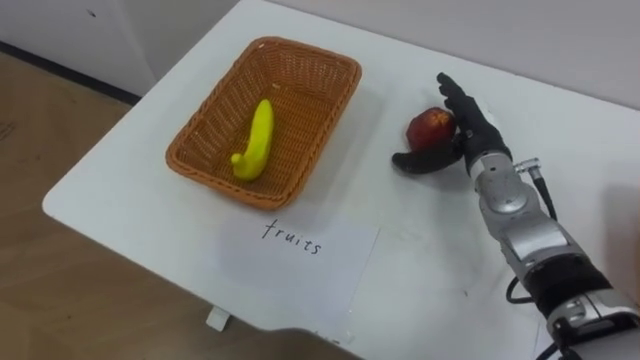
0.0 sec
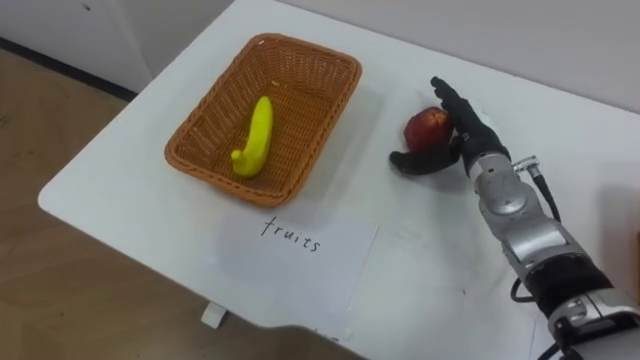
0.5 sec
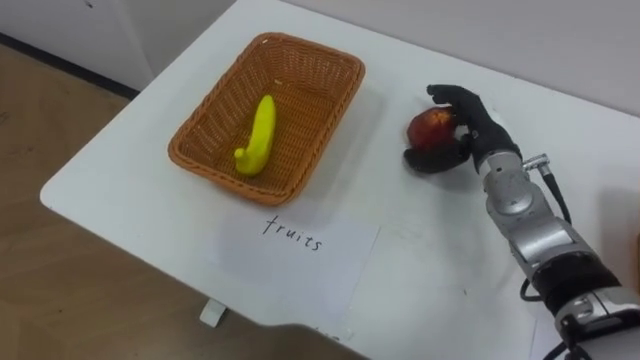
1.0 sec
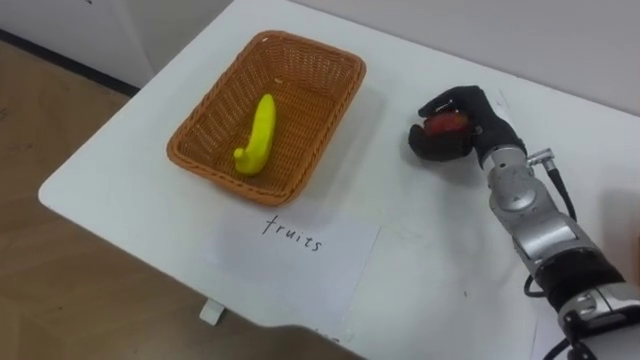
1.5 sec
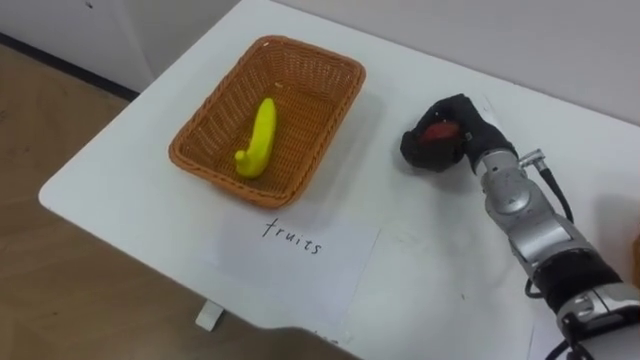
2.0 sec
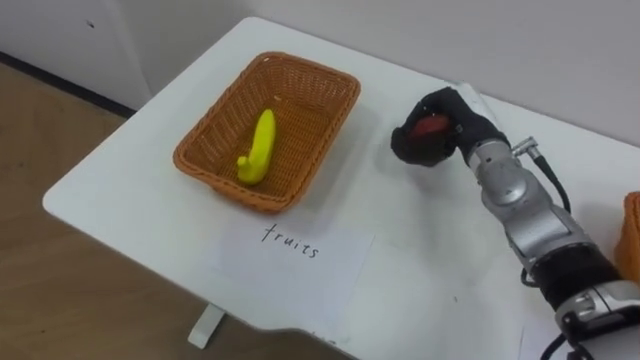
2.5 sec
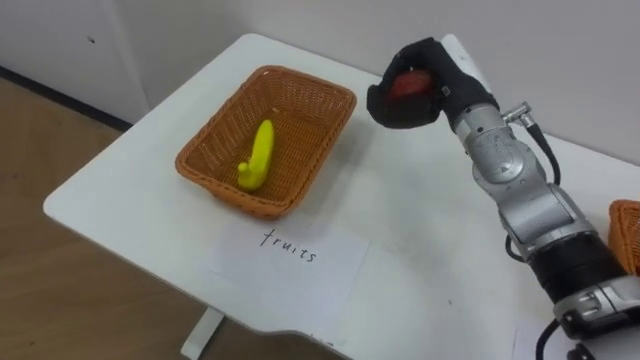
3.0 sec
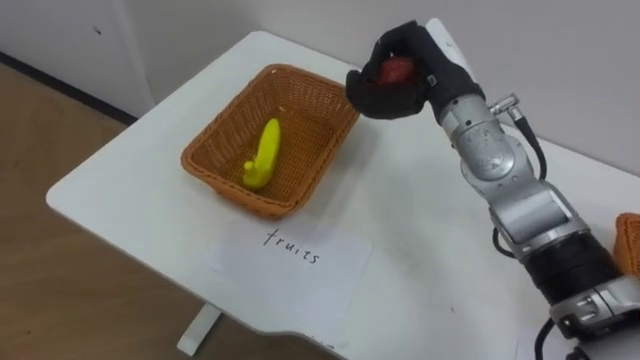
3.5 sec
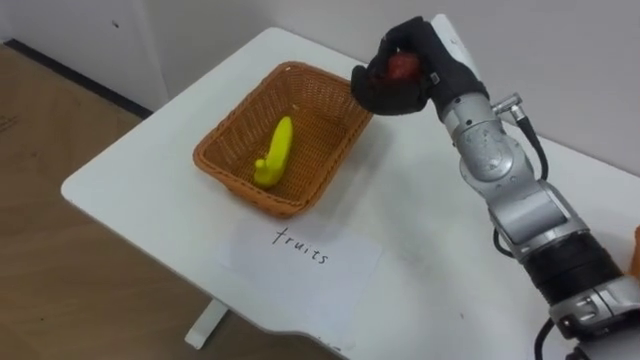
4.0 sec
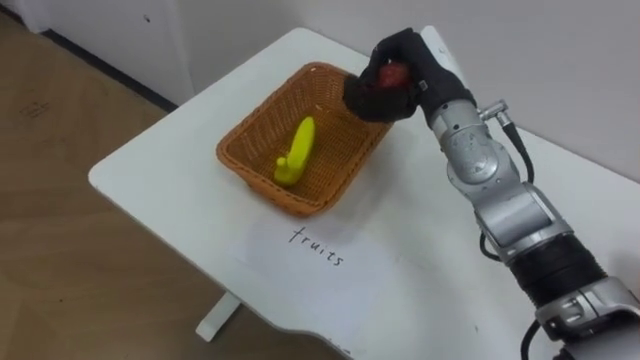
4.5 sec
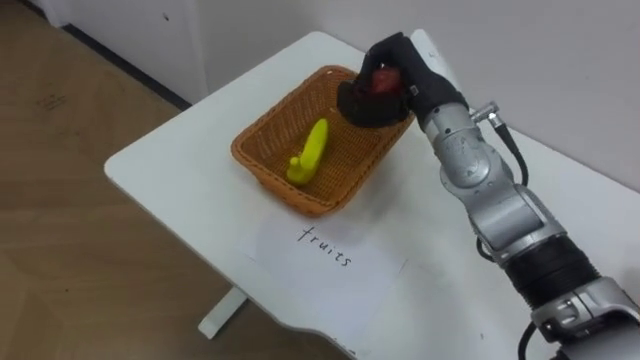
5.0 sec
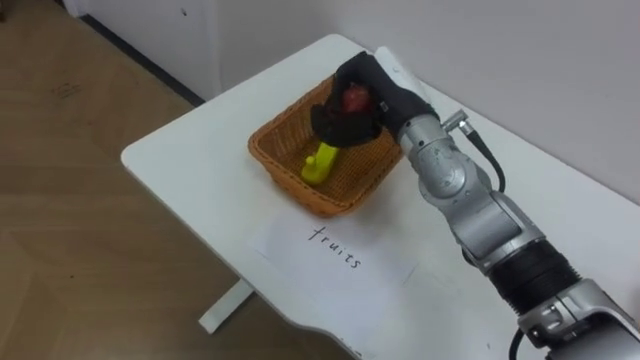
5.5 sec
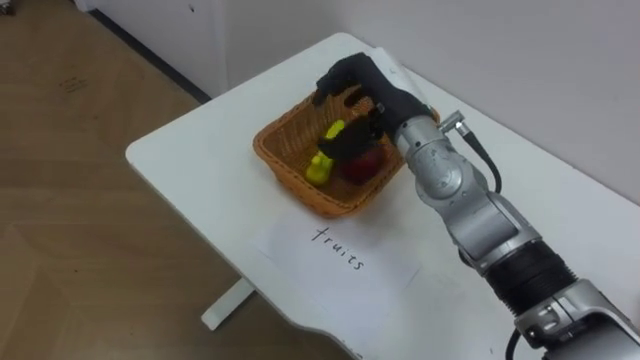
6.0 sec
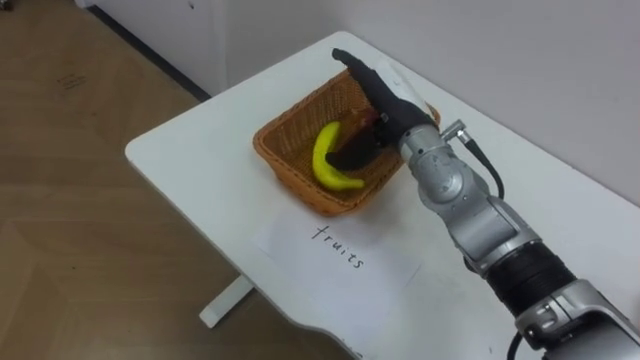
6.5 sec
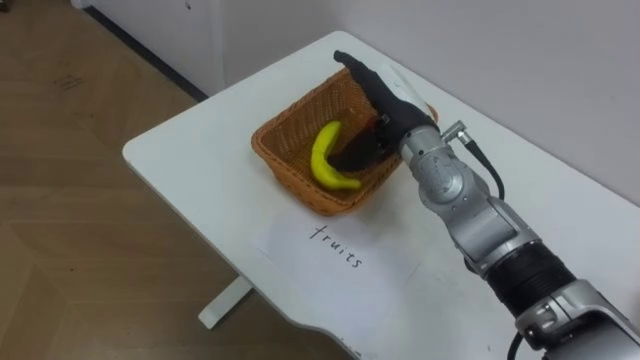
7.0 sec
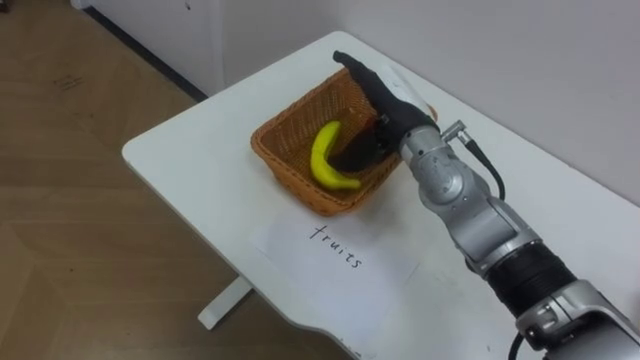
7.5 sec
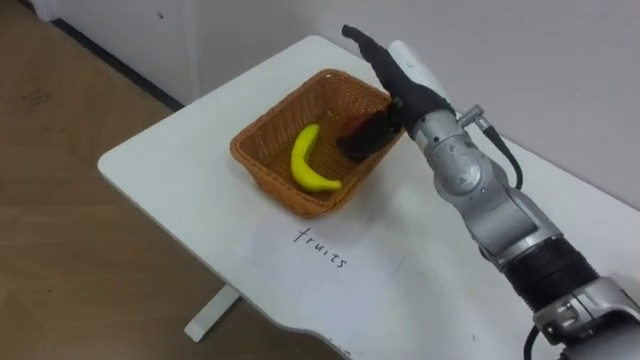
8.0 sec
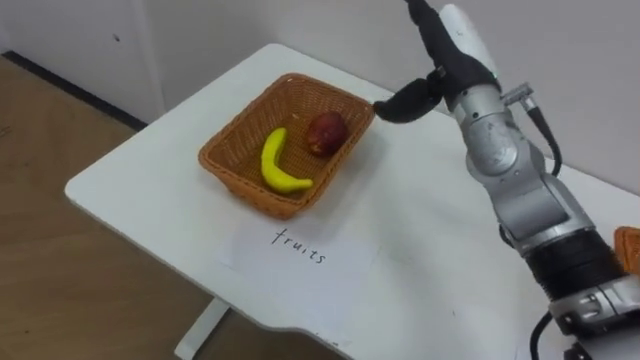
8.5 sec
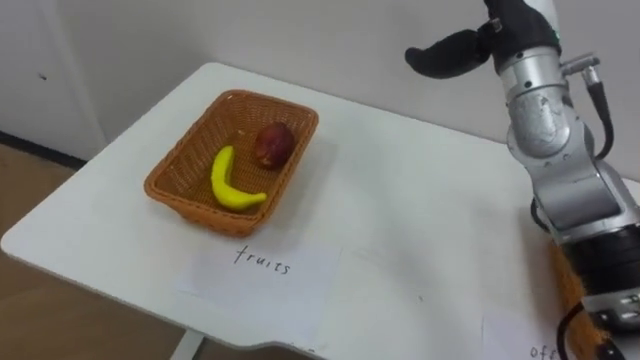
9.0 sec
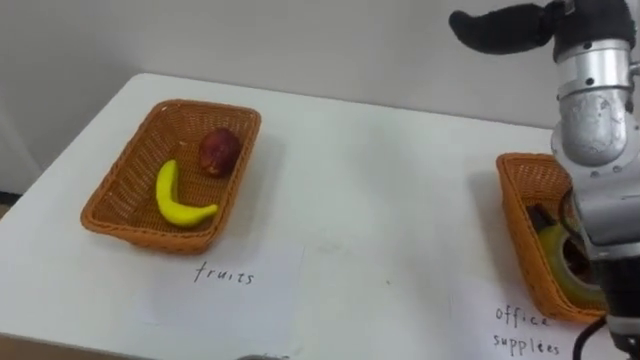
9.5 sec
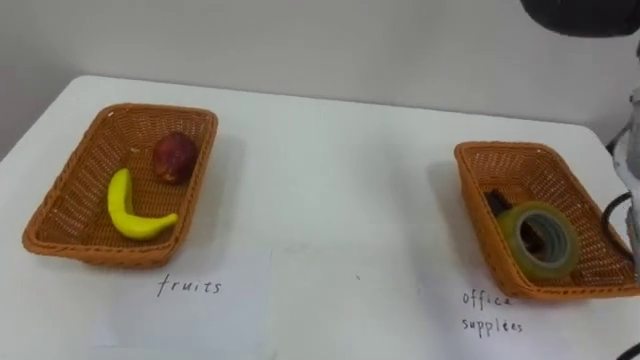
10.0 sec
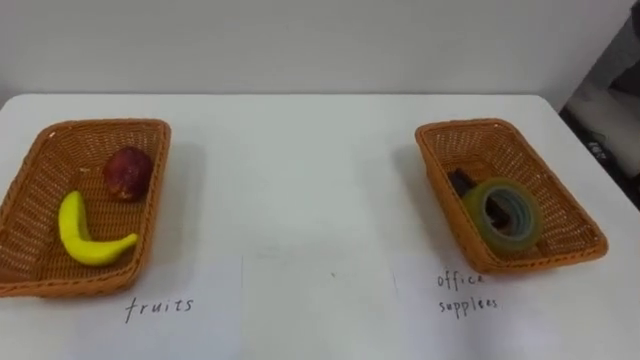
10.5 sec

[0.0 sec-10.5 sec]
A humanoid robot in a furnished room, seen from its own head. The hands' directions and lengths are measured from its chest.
Task of the whole recording: Separate the items on the table and place them into the two baskets.
0.0 sec to 2.0 sec: The right hand closes.
2.0 sec to 4.0 sec: The right hand moves upward and to the left, roughly 10 cm.
4.0 sec to 6.5 sec: The right hand moves to the left, approximately 5 cm, and opens up.
6.5 sec to 8.5 sec: The right hand goes roughly 10 cm to the right and upward.

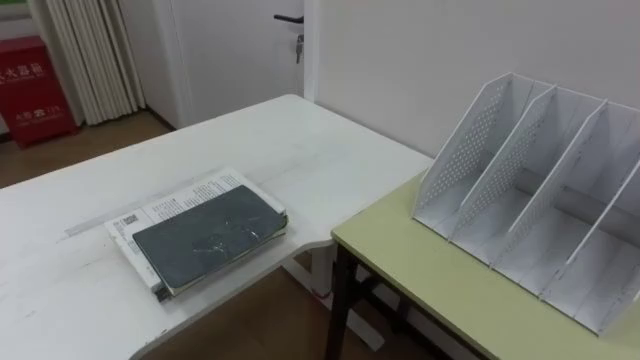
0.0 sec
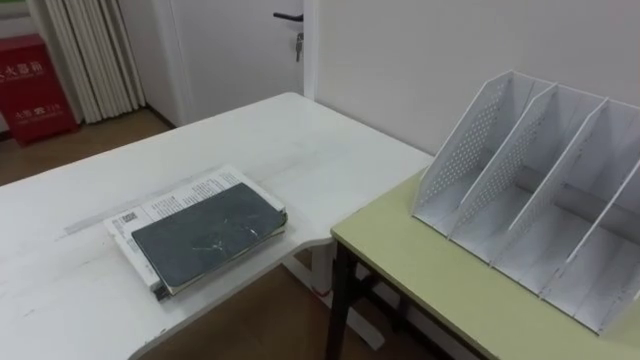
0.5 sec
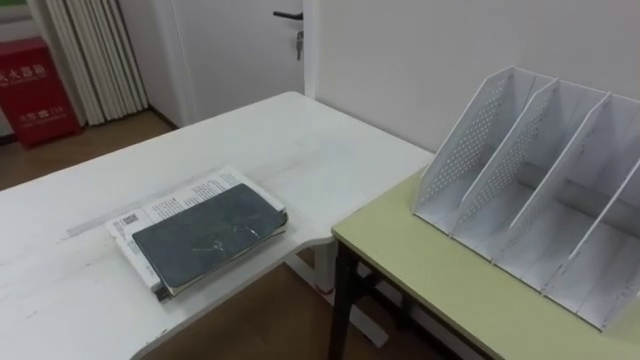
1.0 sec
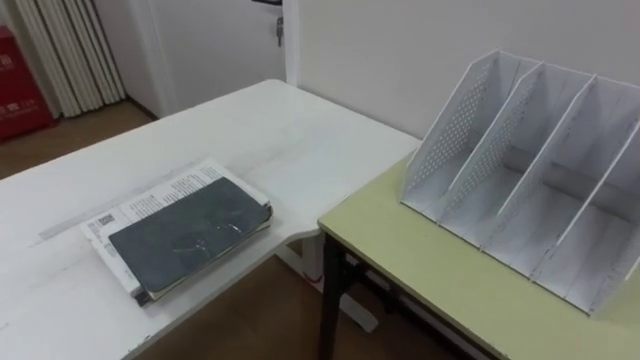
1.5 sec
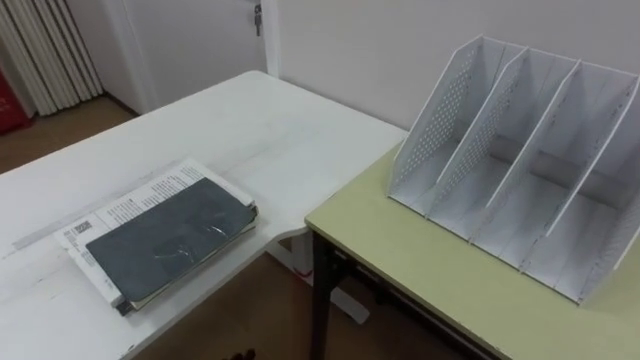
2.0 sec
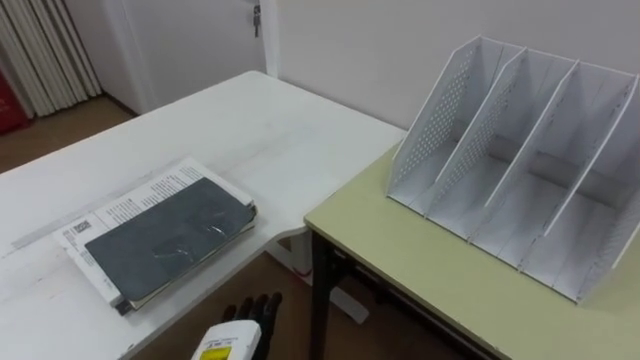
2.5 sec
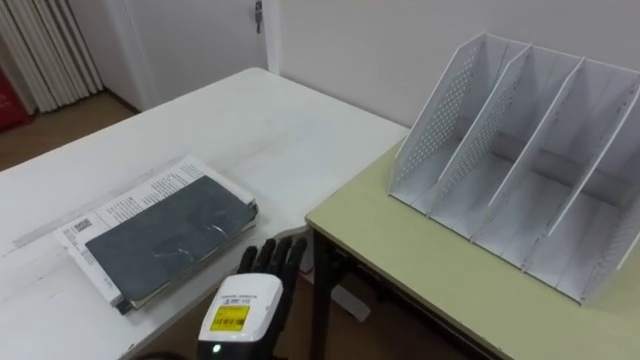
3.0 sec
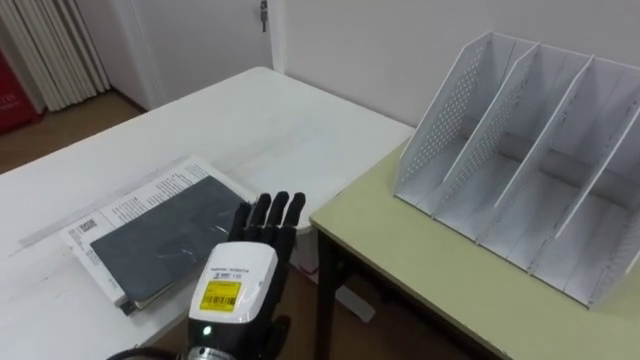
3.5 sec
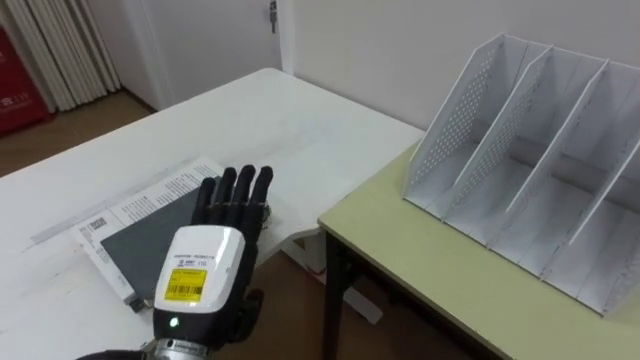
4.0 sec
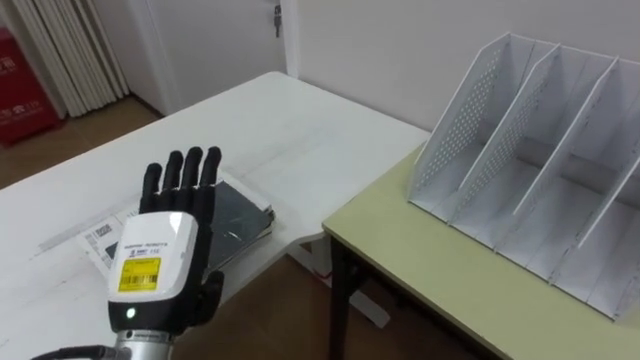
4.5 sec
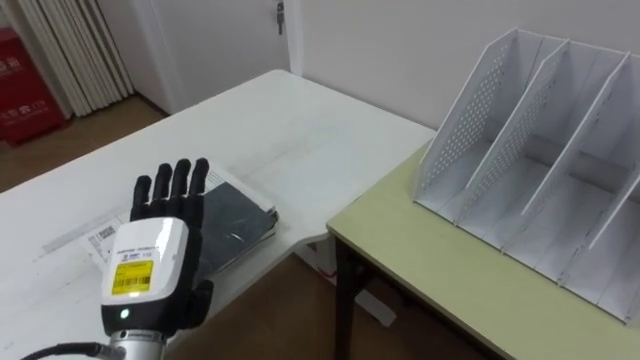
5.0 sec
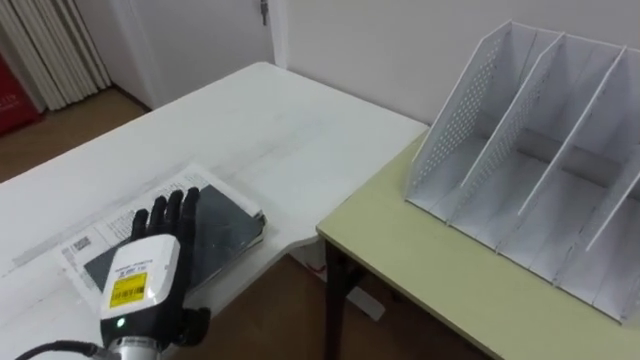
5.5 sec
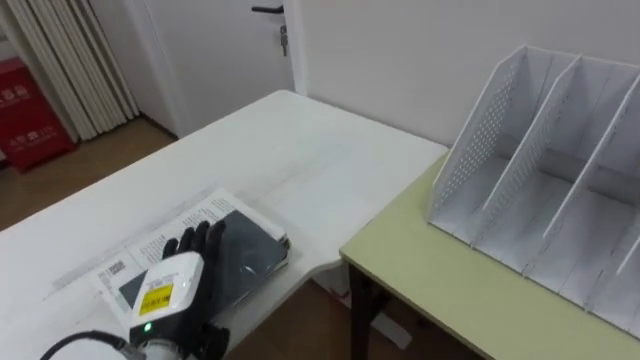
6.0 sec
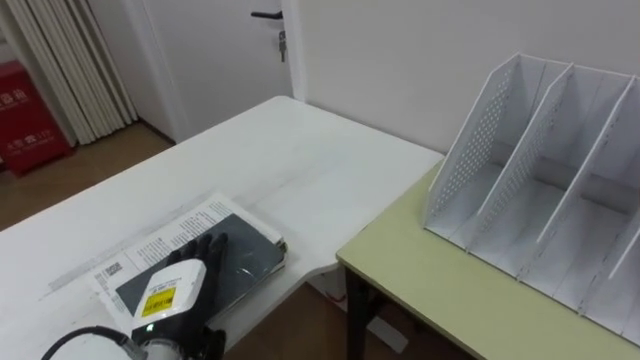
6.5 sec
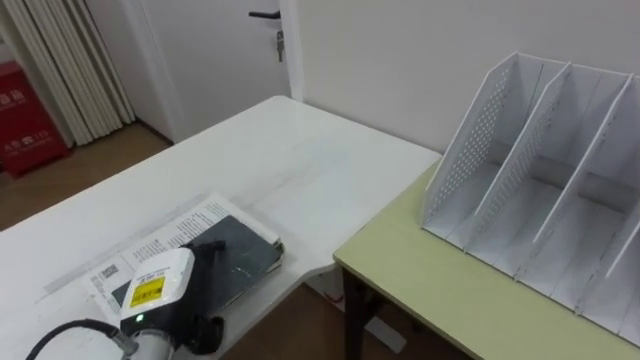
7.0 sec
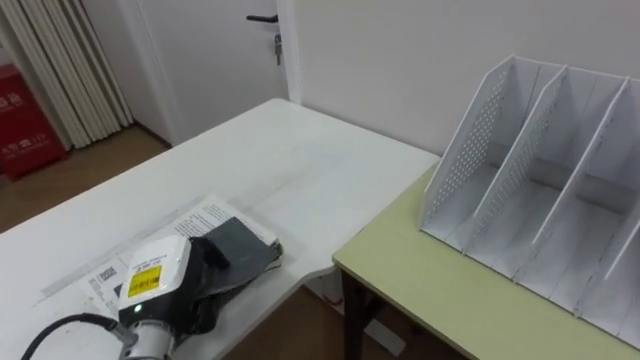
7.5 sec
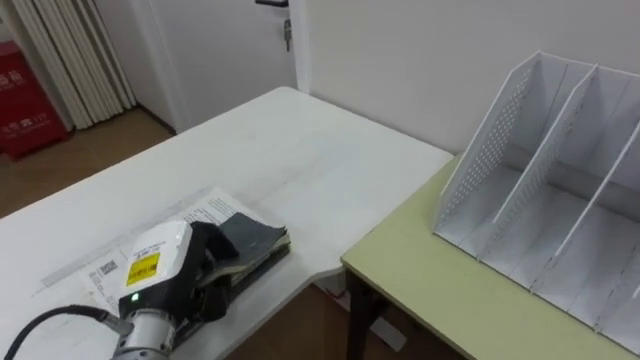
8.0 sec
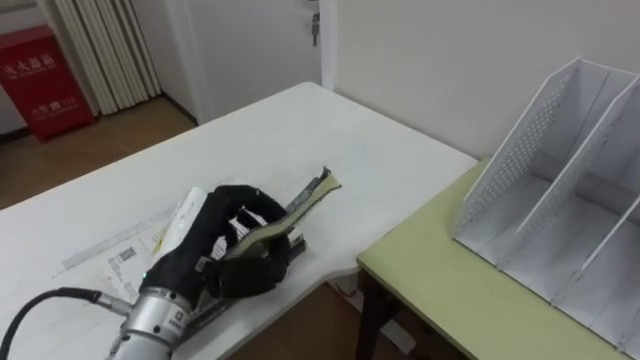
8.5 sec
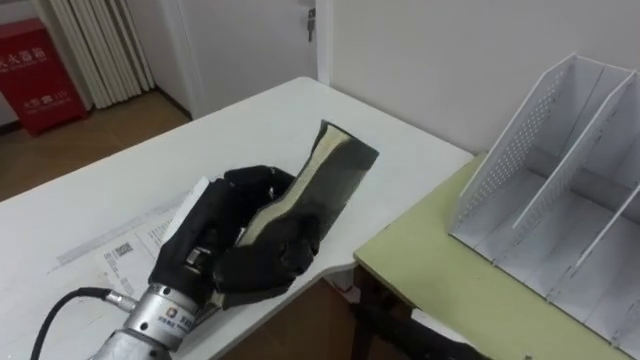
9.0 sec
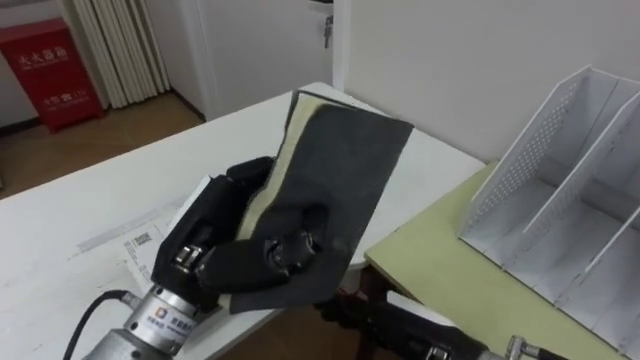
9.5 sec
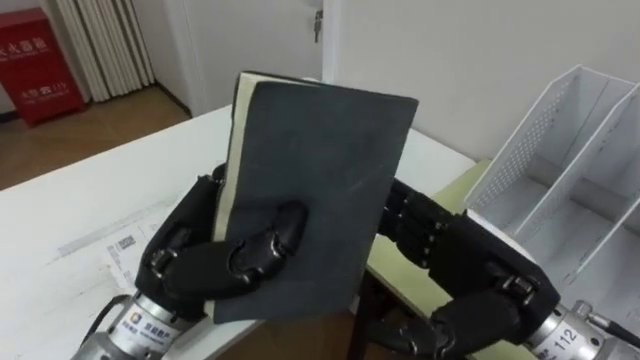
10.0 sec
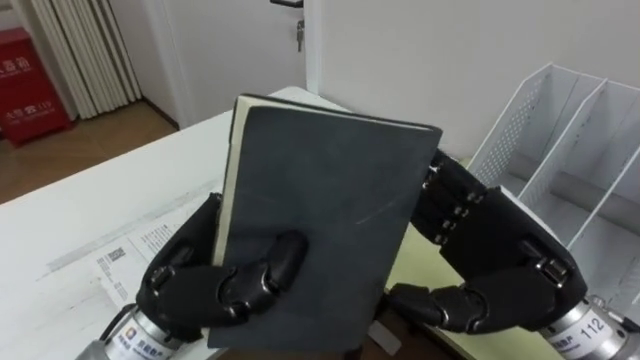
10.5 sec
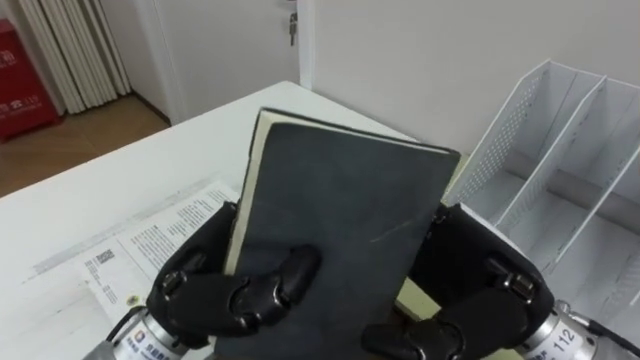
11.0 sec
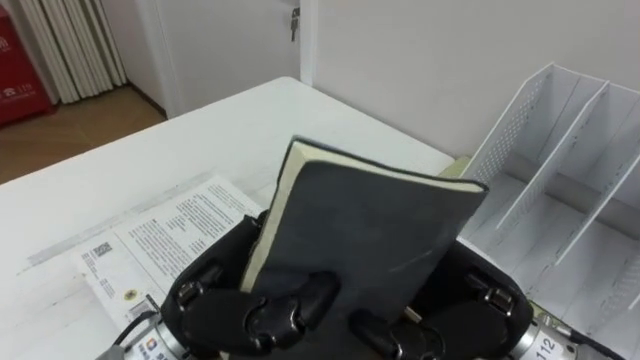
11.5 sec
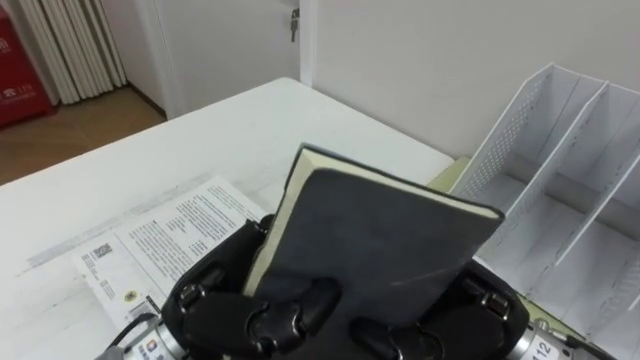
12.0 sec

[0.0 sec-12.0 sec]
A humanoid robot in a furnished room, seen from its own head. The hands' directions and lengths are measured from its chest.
Task of the whole recording: Put the books on the table onto the bookshelf.
4.0 sec to 6.0 sec: The left hand is displaced downward and to the left by approximately 10 cm.
6.0 sec to 8.0 sec: The left hand closes up.
8.0 sec to 10.0 sec: The left hand shifts roughly 10 cm upward and to the right.
10.0 sec to 12.0 sec: The right hand closes up.
